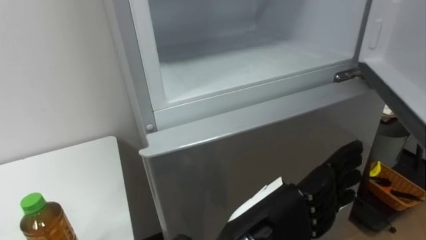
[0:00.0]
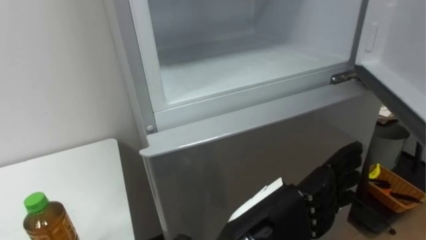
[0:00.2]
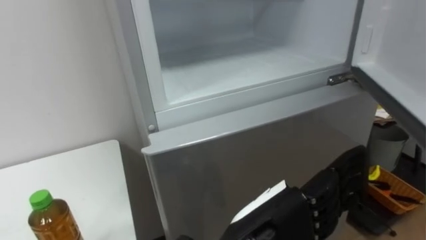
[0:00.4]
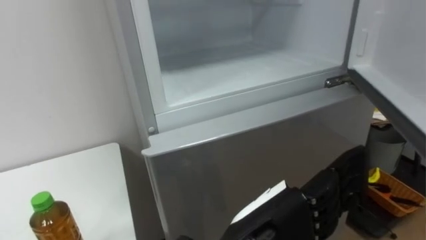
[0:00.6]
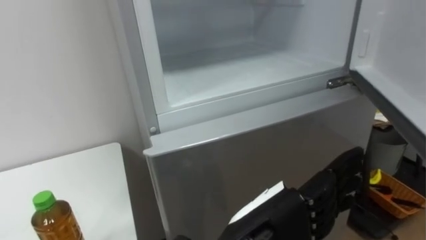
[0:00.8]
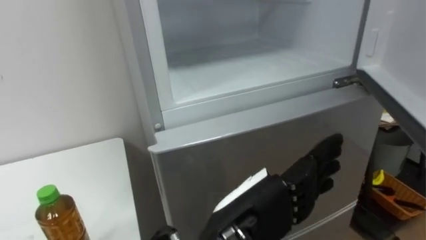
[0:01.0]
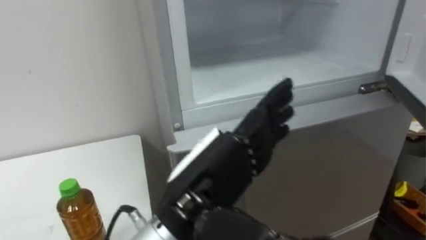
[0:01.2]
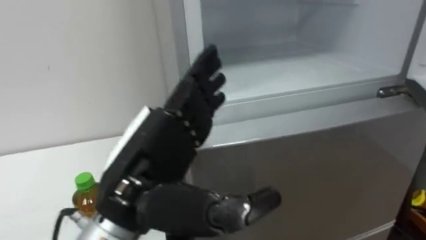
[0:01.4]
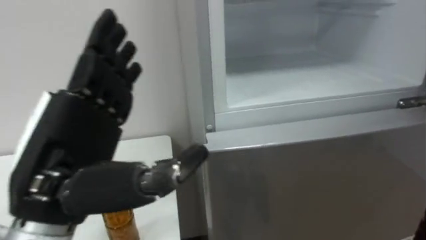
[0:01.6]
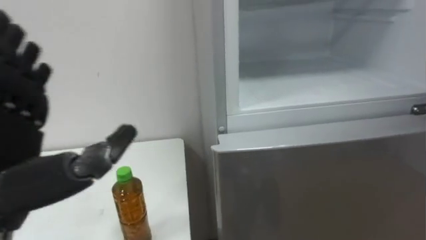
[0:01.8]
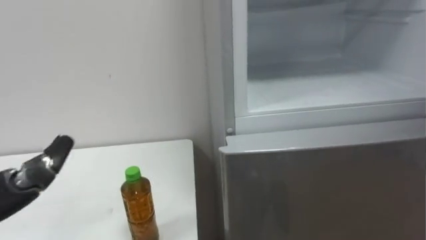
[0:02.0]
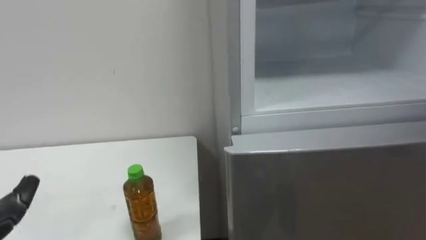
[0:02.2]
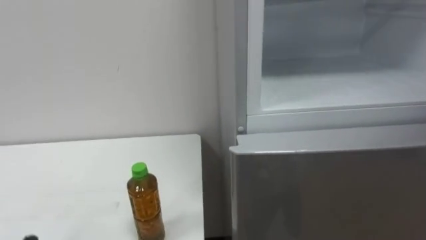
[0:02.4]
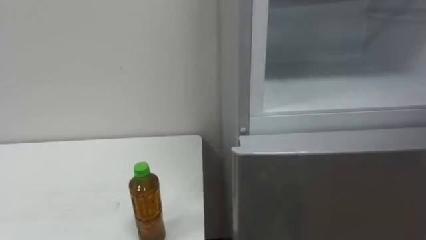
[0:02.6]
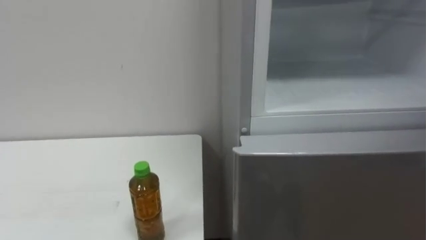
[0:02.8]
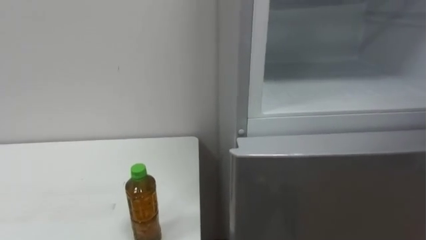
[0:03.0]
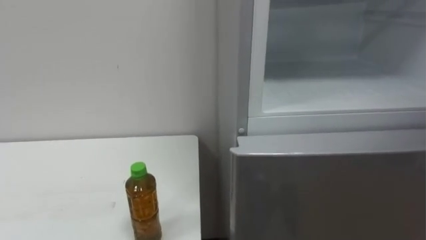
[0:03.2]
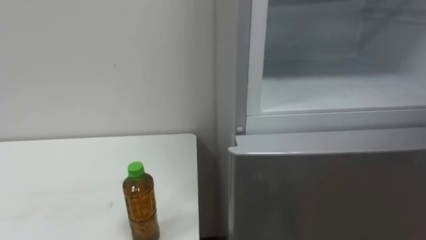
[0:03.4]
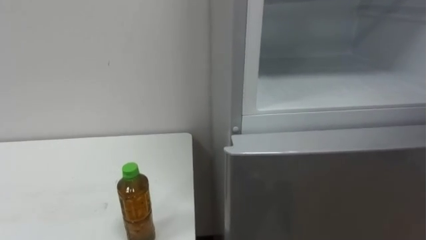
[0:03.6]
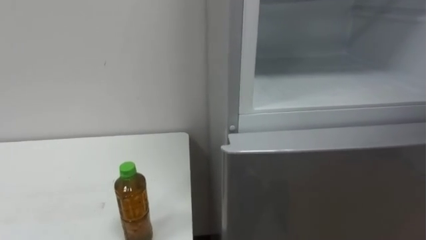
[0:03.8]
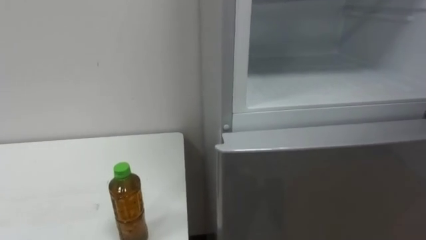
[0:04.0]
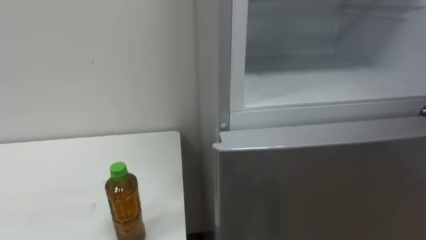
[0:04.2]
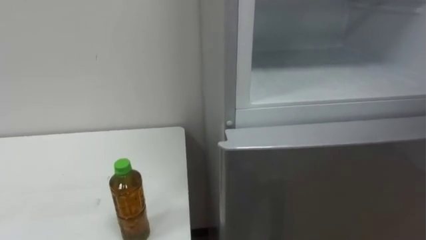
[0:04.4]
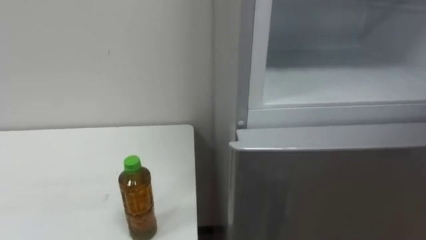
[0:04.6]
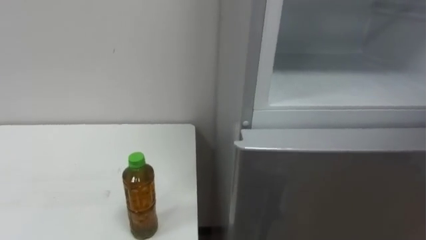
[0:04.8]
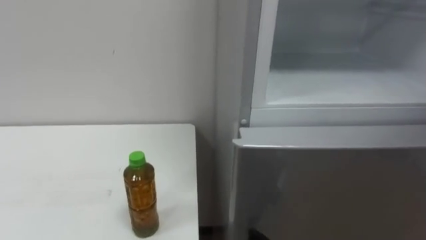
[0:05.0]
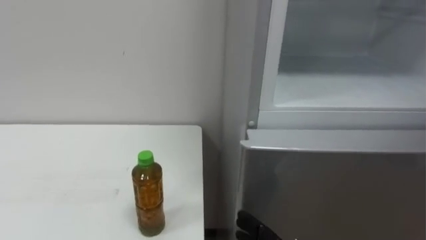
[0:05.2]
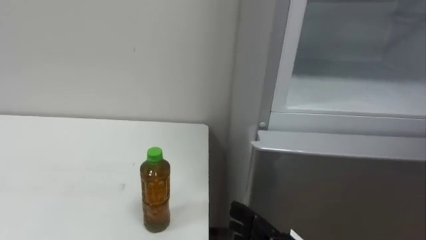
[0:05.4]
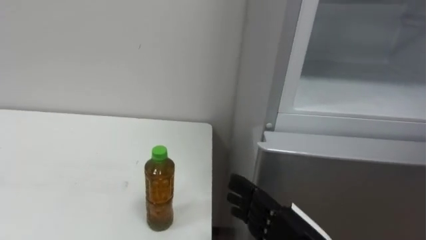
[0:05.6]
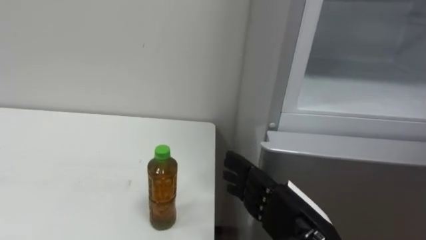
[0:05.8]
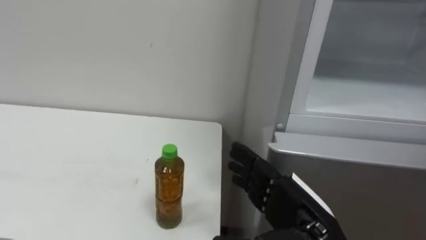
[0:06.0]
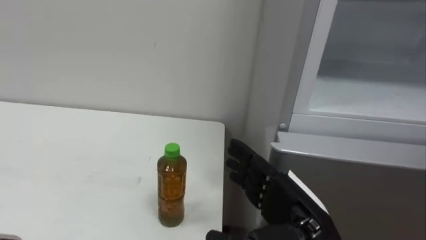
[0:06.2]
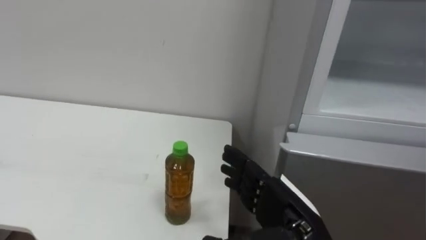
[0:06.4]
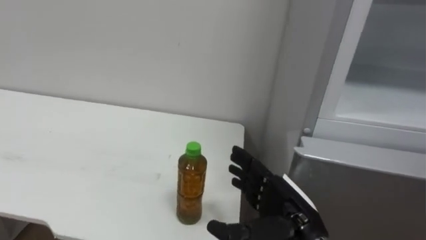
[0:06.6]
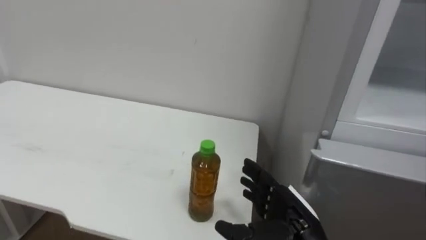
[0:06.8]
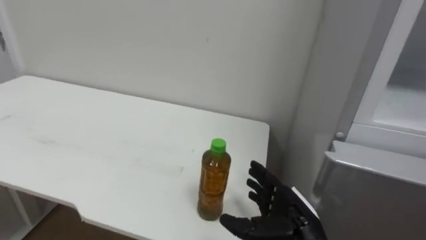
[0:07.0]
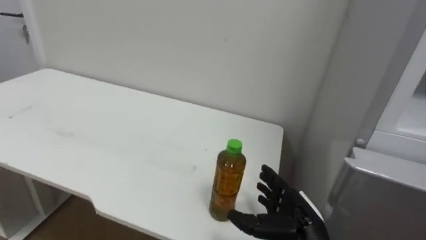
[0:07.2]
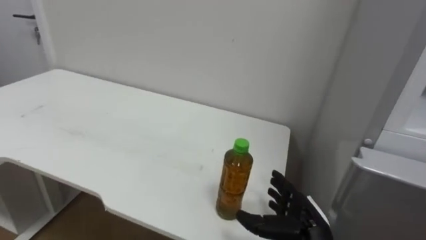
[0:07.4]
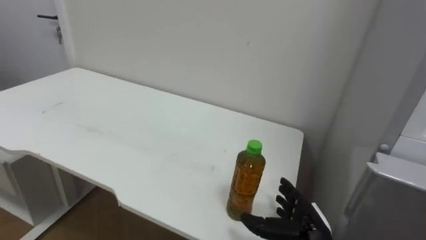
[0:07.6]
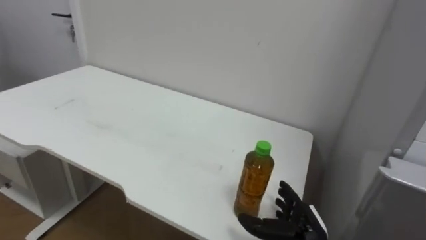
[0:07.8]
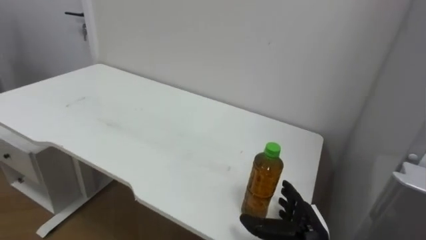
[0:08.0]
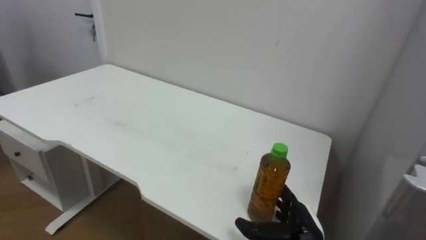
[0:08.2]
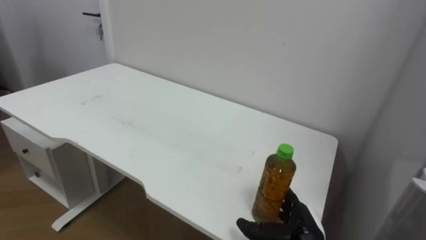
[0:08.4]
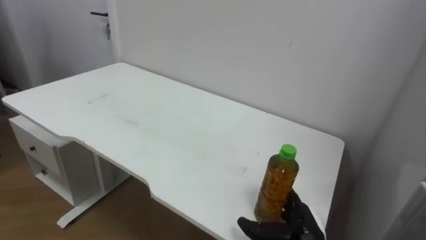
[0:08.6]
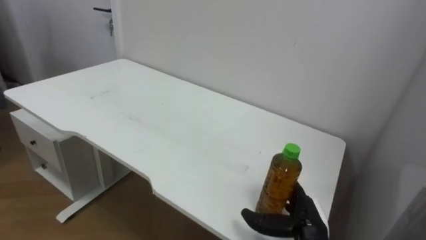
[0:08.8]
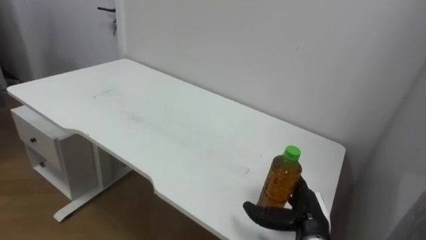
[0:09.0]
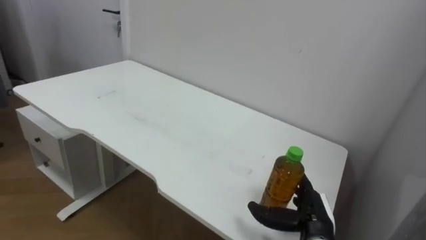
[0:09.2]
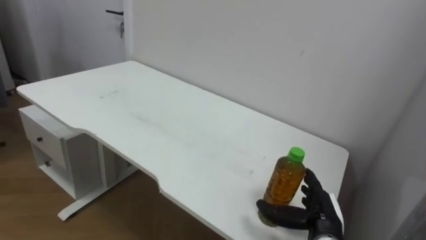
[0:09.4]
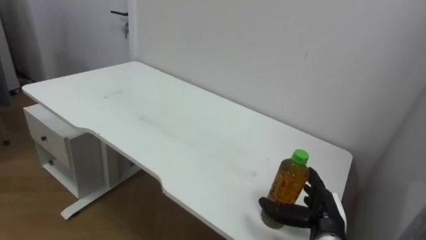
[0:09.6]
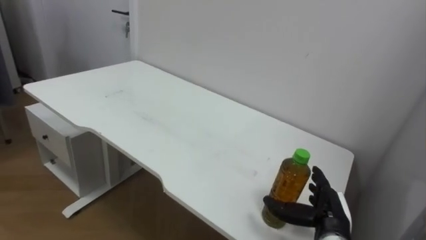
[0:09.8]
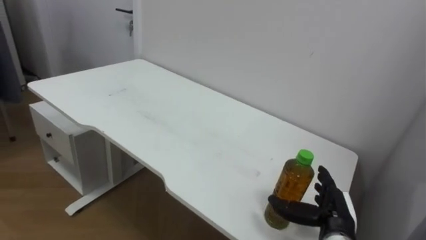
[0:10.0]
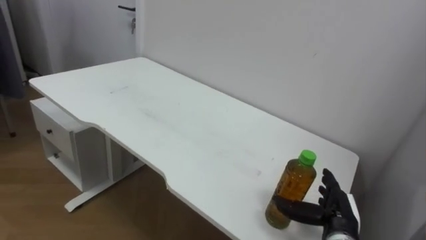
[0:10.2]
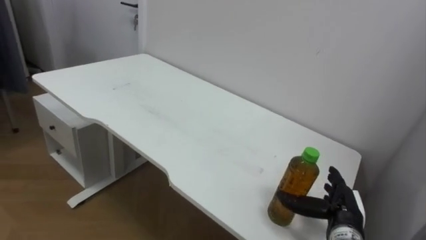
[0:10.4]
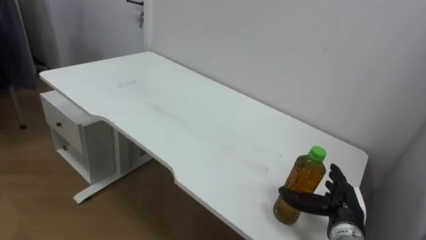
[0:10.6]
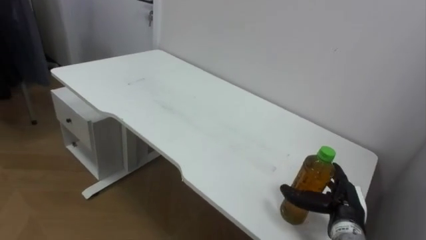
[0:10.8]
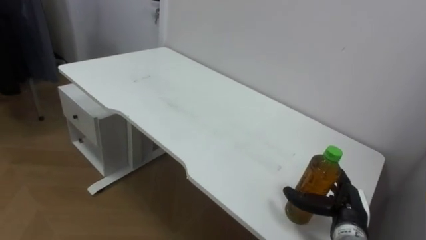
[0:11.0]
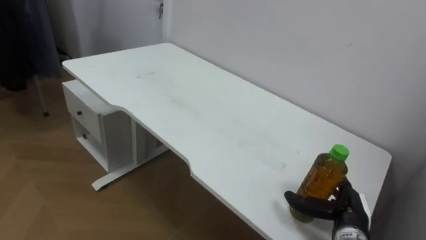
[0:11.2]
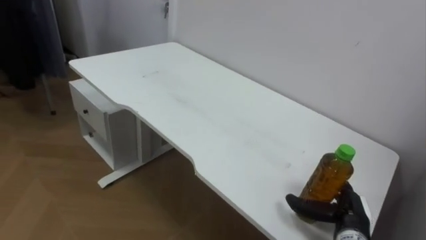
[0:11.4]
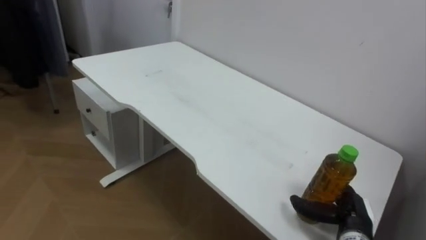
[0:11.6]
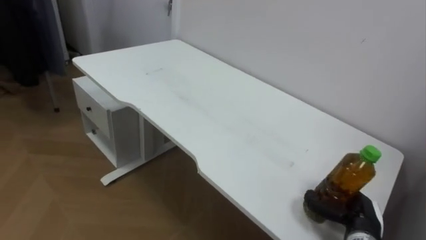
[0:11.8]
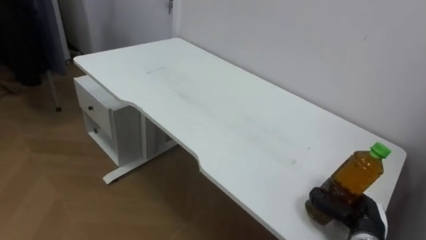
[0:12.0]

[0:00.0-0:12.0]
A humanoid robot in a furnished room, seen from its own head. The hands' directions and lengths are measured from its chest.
Task of the whole recording: Open the upper refrigerator door, put the drink from the table into the refrigerator, and then close the refrigerator door.
0:00.0 to 0:01.6: The left hand travels to the left and upward by some 20 cm.
0:06.0 to 0:07.6: The right hand shifts roughly 15 cm downward and forward.
0:09.0 to 0:10.4: The right hand heads to the right, covering roughly 5 cm.
0:10.4 to 0:12.0: The right hand closes its fingers.

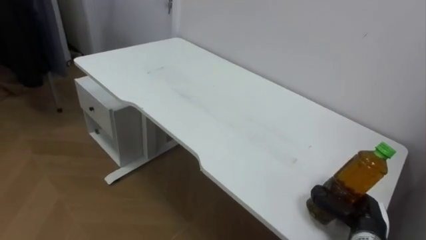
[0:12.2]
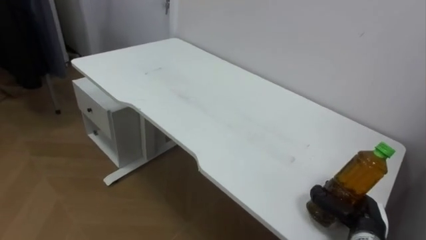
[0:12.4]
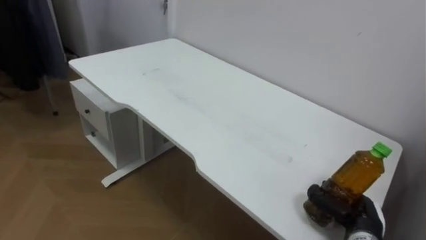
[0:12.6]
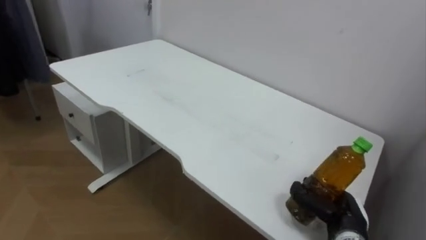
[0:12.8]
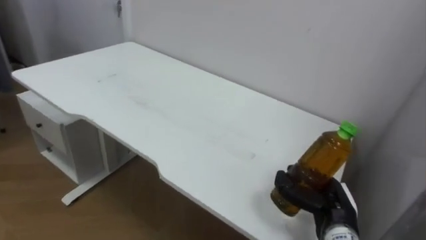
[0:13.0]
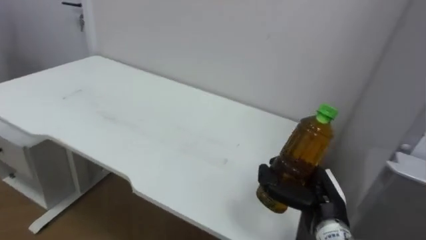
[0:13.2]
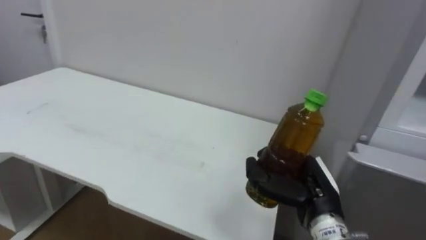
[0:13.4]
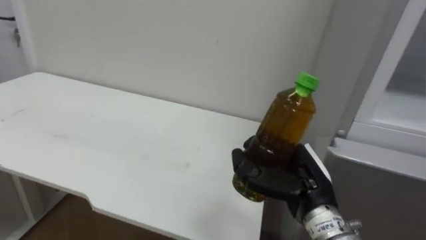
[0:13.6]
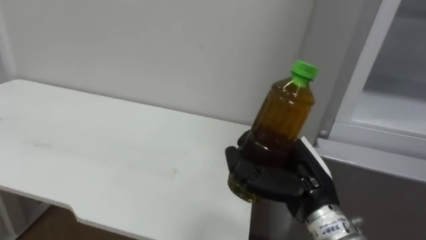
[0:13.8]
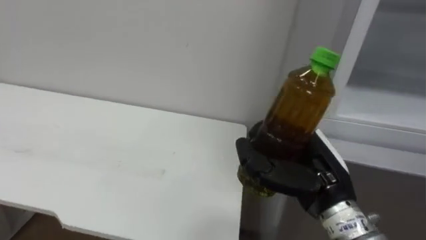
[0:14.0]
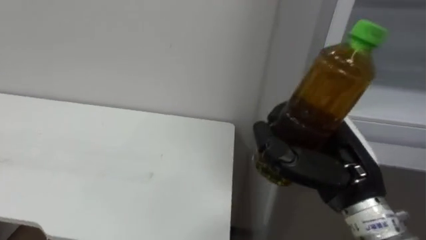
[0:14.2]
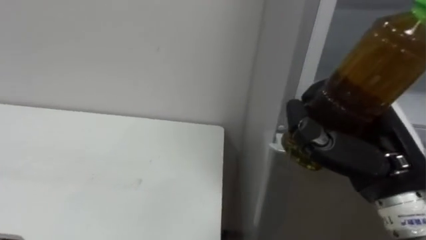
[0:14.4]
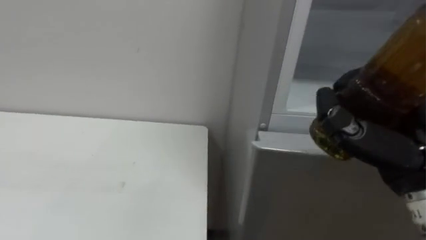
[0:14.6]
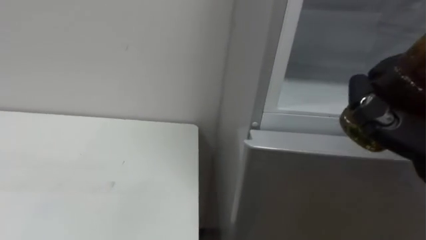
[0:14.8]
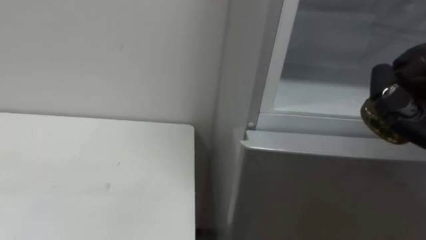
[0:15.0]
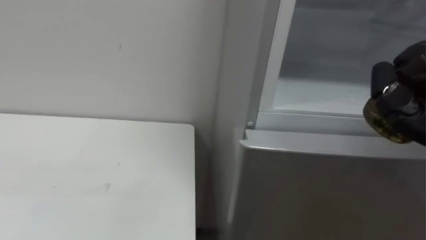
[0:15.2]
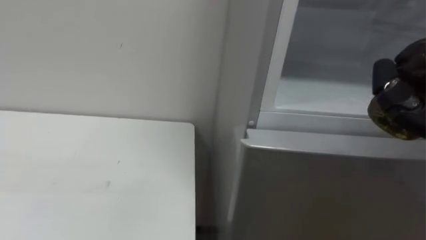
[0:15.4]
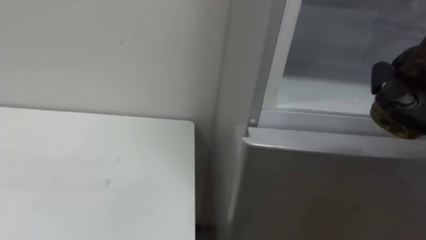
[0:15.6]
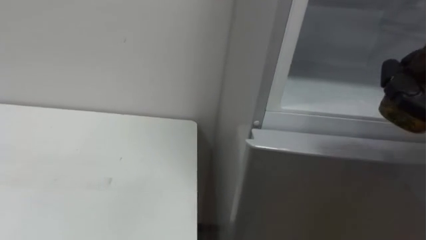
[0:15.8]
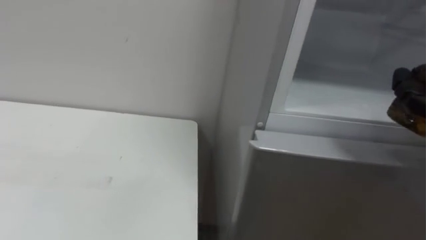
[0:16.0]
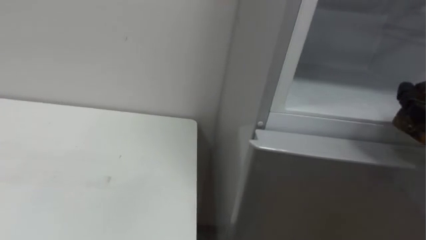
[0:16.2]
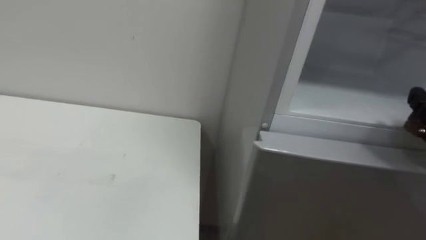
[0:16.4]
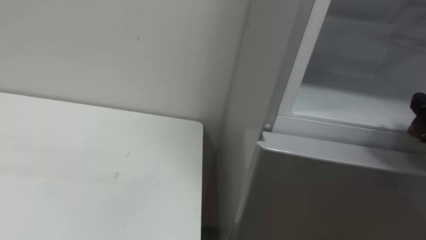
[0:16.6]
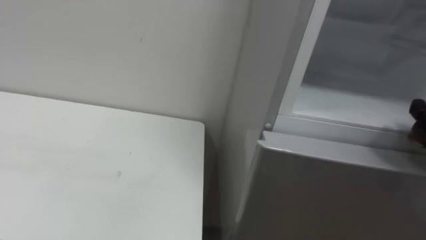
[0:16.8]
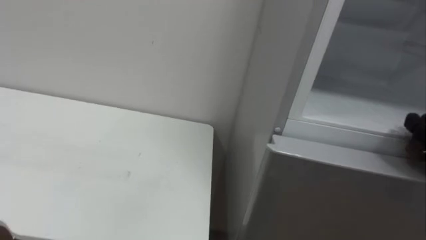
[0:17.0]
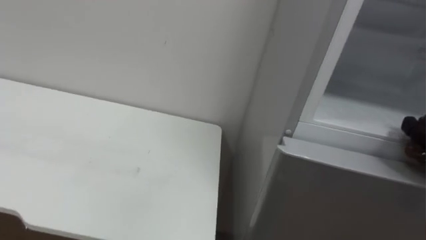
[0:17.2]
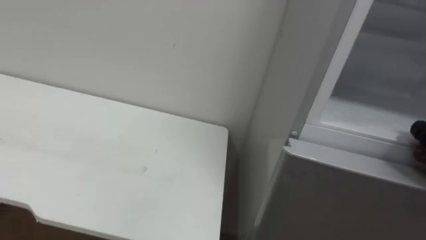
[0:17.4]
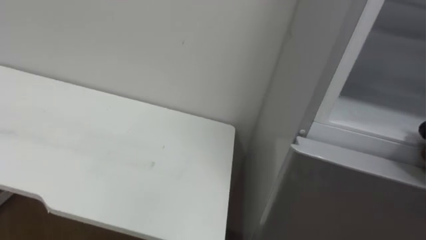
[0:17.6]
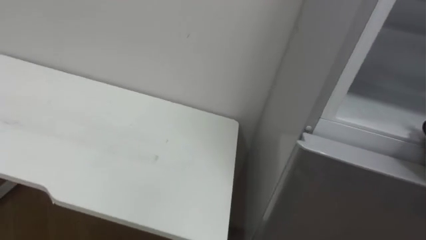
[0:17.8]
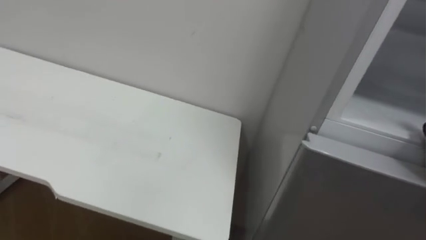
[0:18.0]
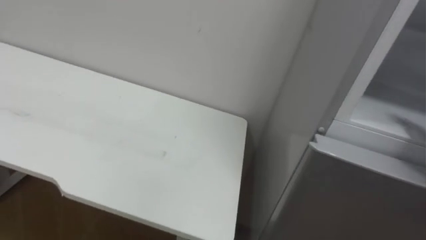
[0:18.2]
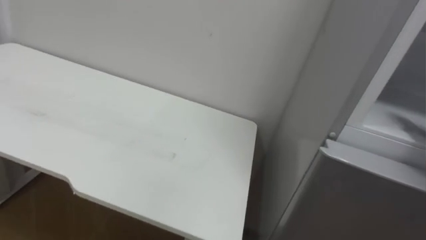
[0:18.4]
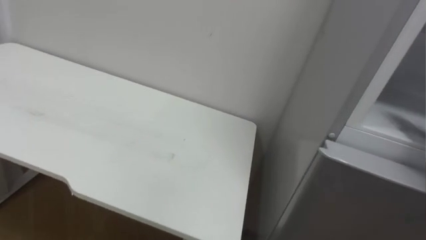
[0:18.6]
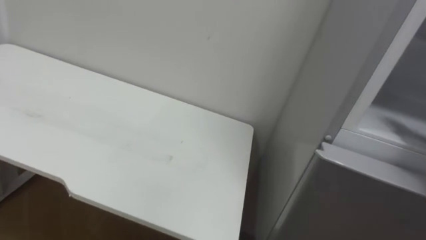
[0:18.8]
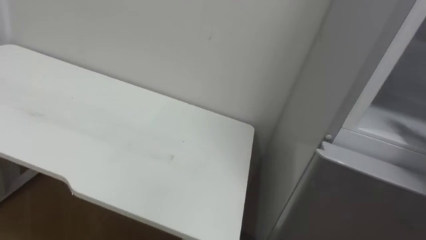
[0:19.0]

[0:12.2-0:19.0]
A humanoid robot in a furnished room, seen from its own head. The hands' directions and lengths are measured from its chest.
Task of the whole recording: Open the upper refrigerator door, put the drink from the table into the refrigerator, and then close the refrigerator door.
0:12.2 to 0:13.6: The right hand is displaced upward and to the left by some 20 cm.
